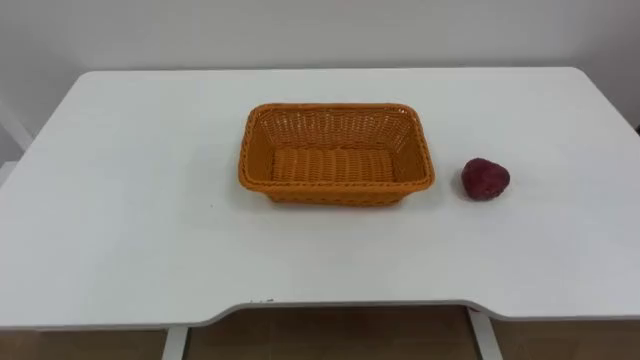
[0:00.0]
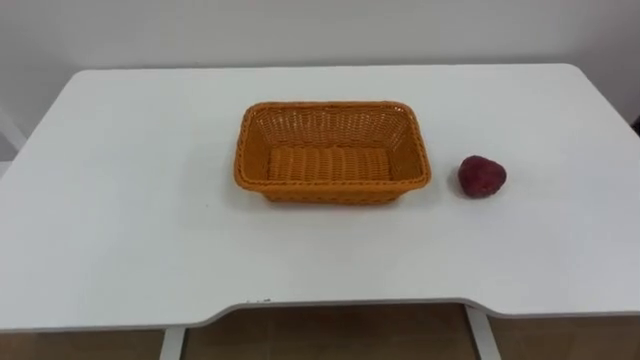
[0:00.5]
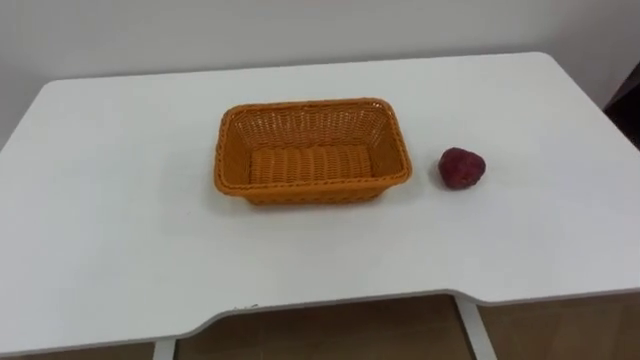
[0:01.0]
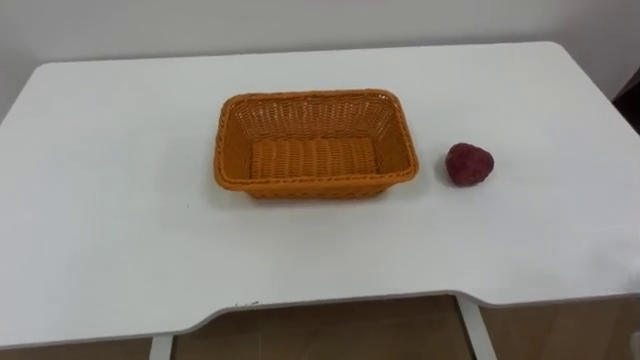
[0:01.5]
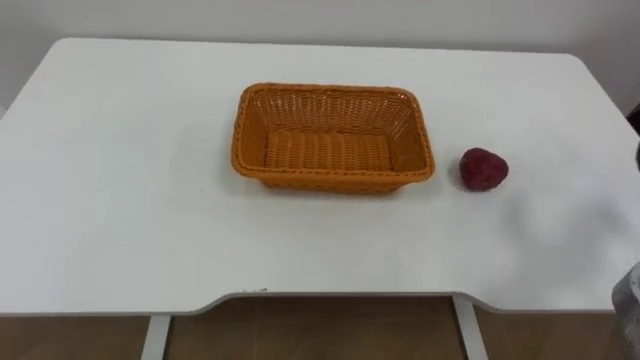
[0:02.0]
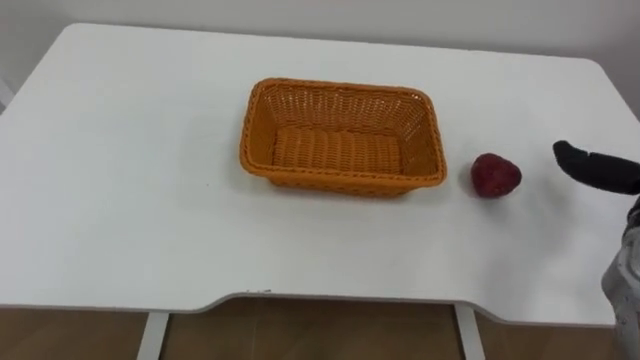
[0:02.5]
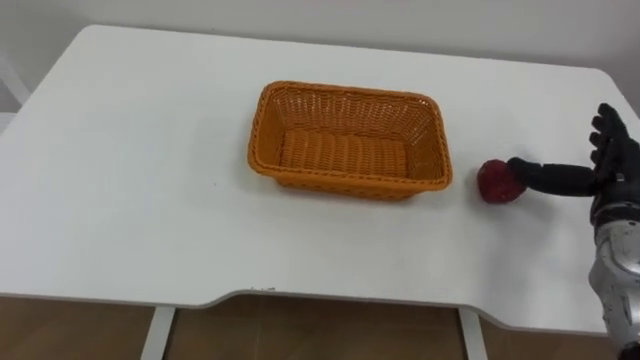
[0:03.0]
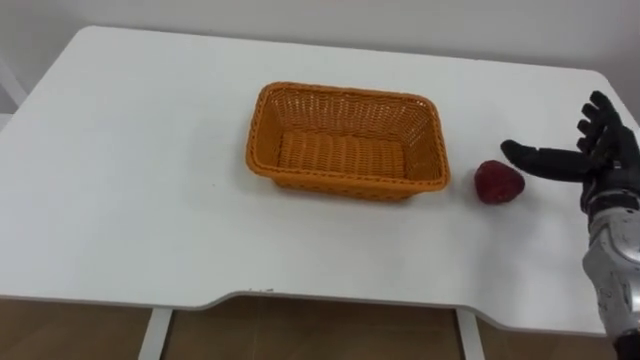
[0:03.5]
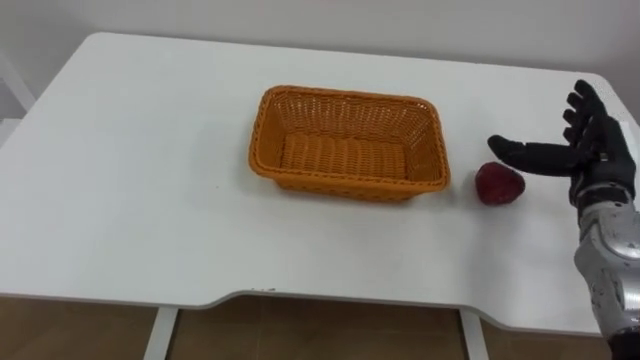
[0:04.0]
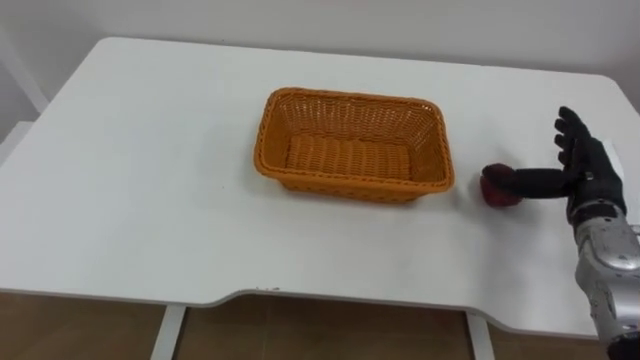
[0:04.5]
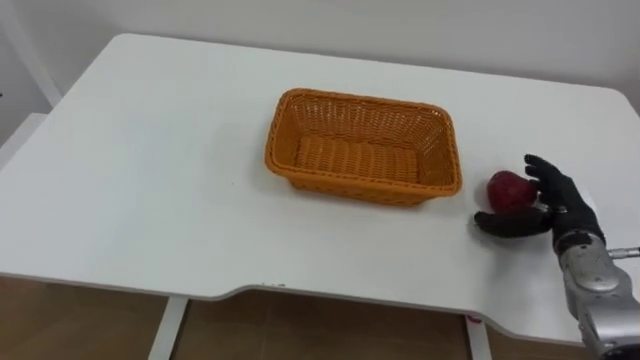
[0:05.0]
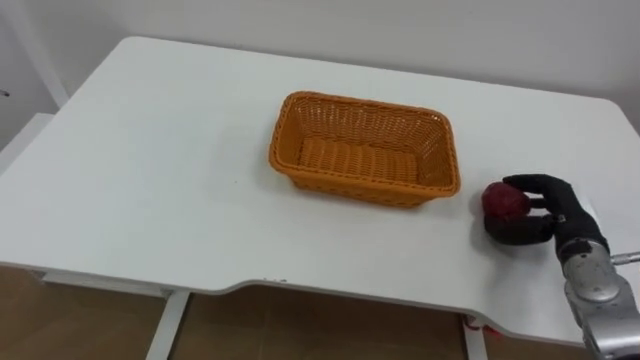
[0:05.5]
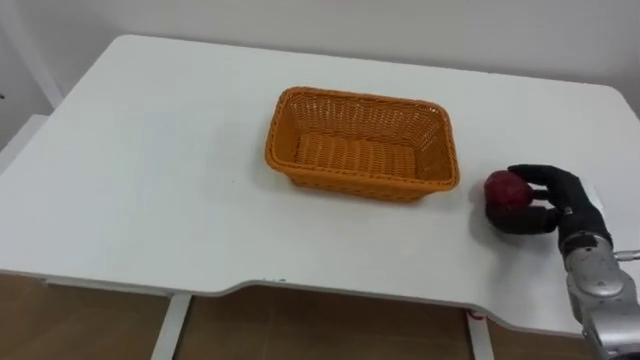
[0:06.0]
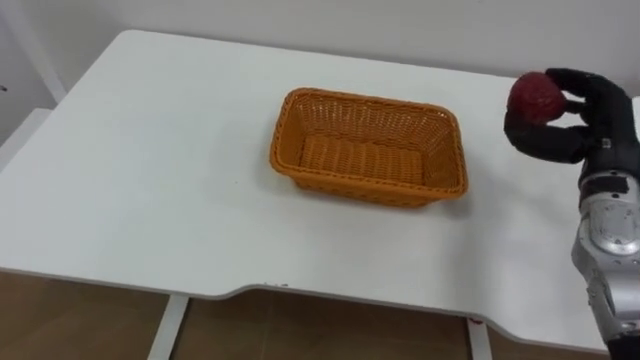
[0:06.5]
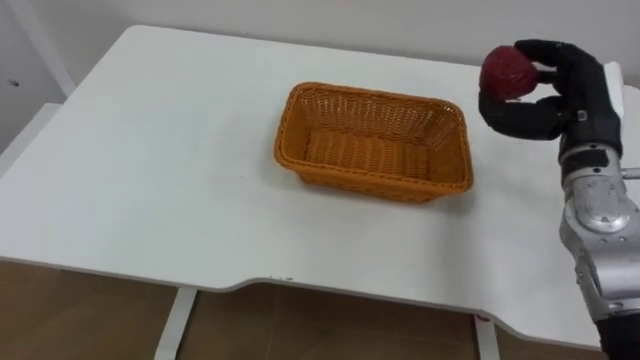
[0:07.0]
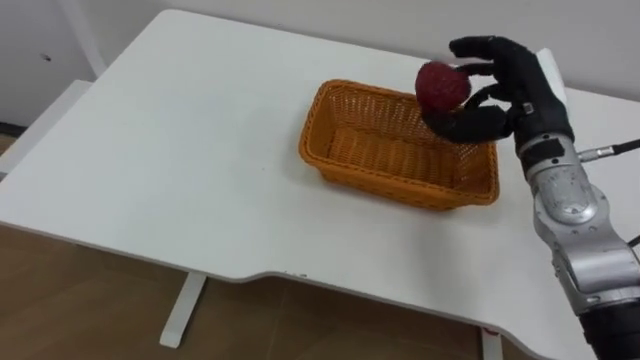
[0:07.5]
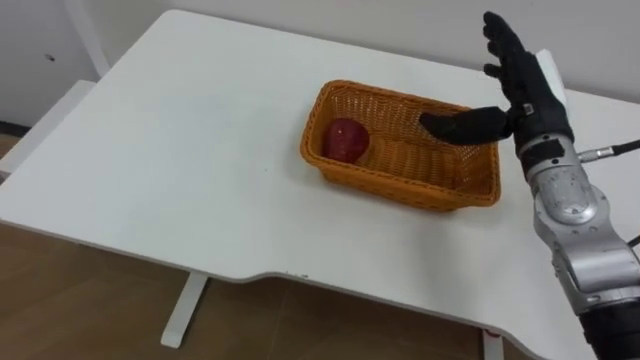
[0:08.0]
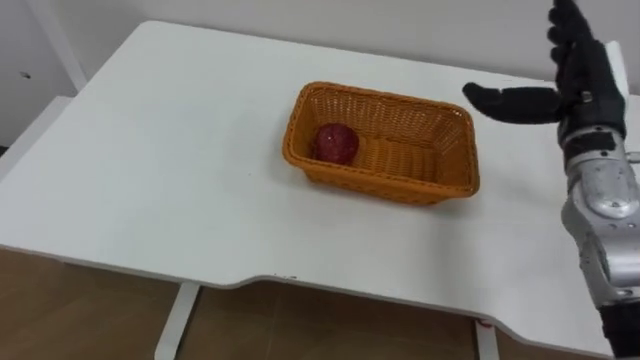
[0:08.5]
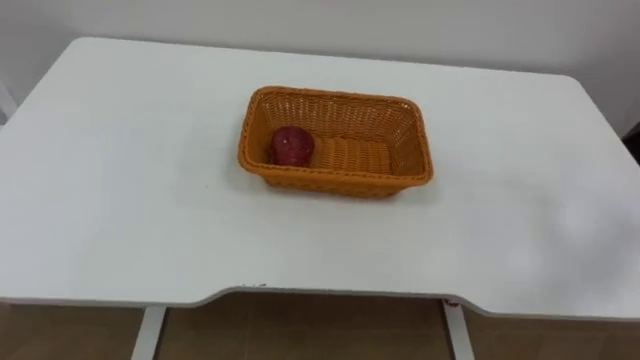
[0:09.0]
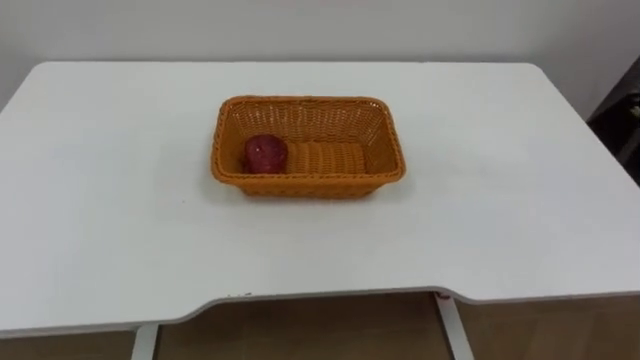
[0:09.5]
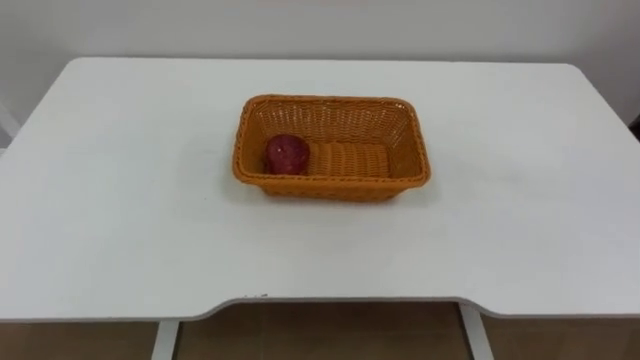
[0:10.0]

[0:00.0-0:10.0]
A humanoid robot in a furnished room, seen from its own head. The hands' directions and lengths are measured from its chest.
Task of the whole recording: Pick the apple and place it in the box.
0:04.0 to 0:06.0: The right hand moves downward, approximately 5 cm, and closes its fingers.
0:06.0 to 0:08.0: The right hand moves upward, to the left and forward, approximately 20 cm, and opens its fingers.

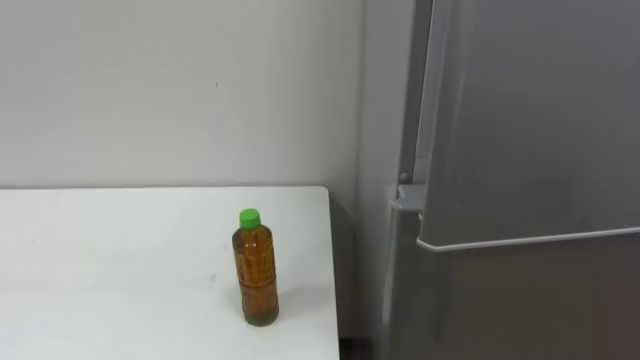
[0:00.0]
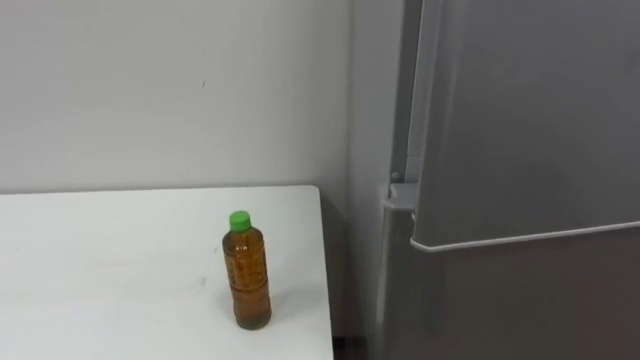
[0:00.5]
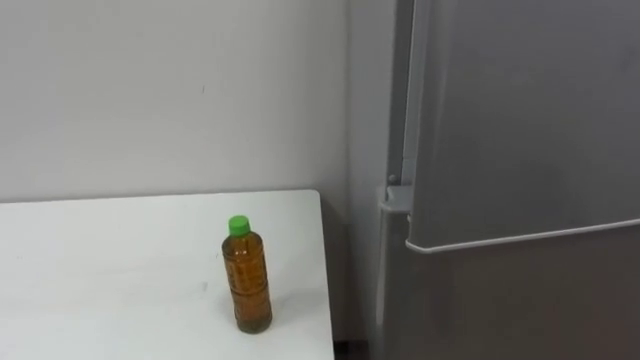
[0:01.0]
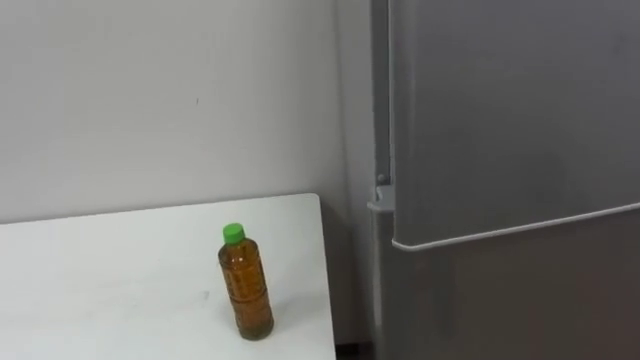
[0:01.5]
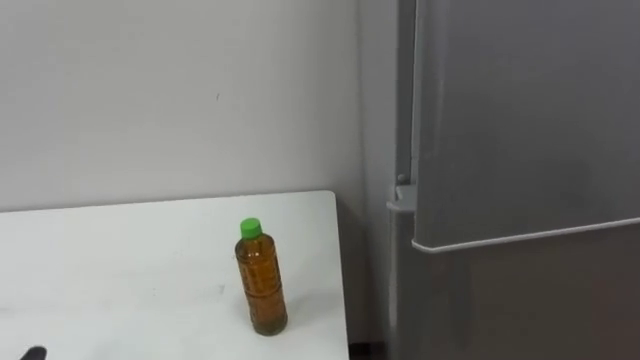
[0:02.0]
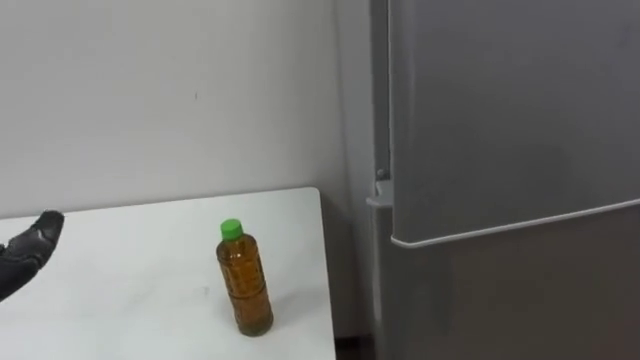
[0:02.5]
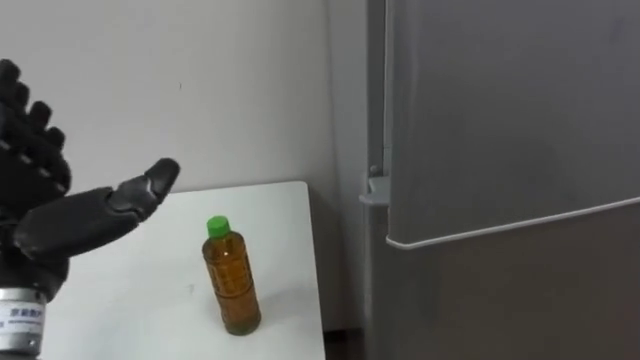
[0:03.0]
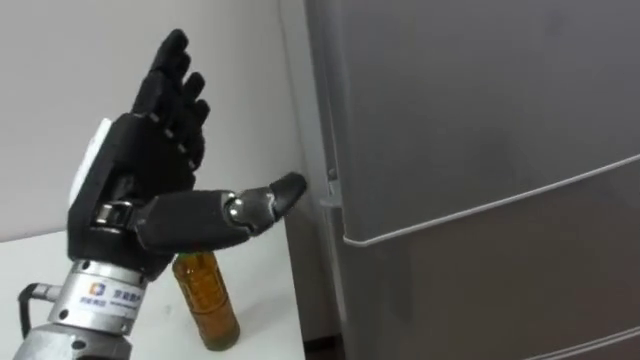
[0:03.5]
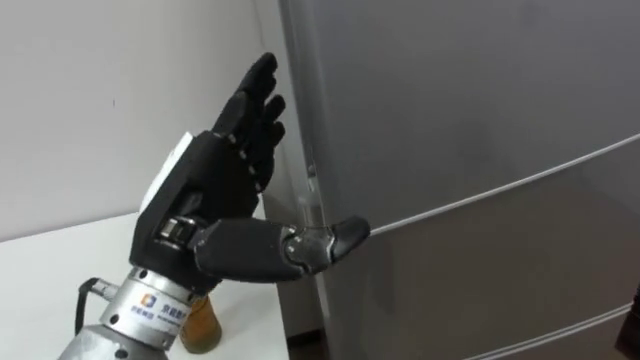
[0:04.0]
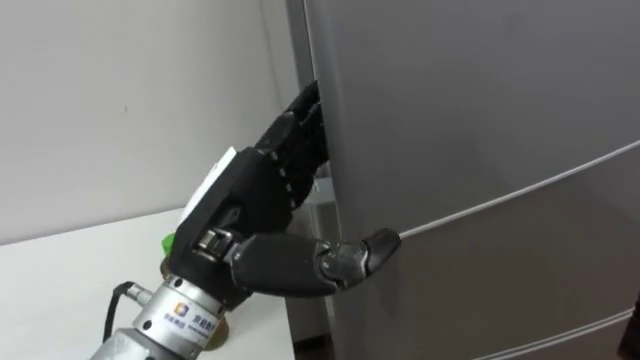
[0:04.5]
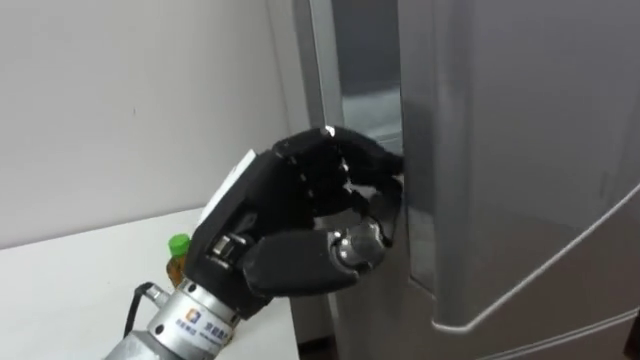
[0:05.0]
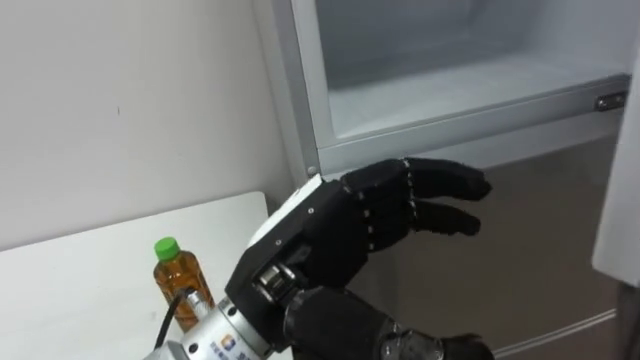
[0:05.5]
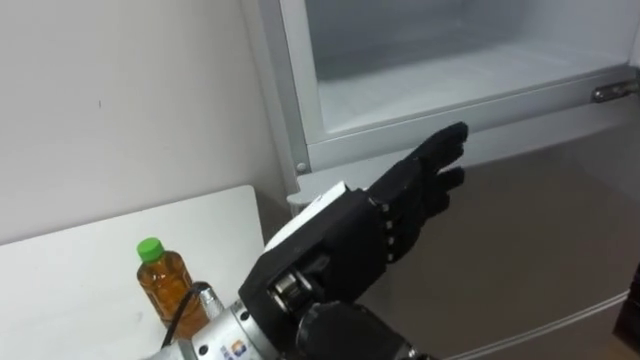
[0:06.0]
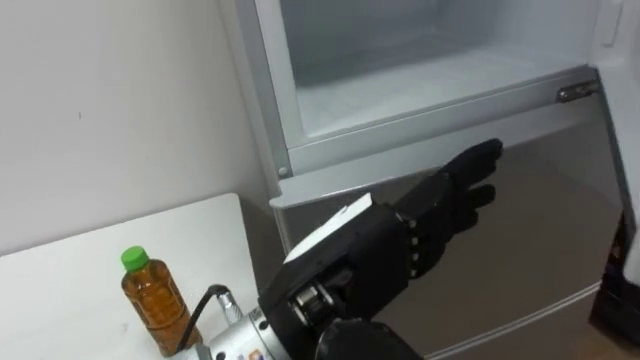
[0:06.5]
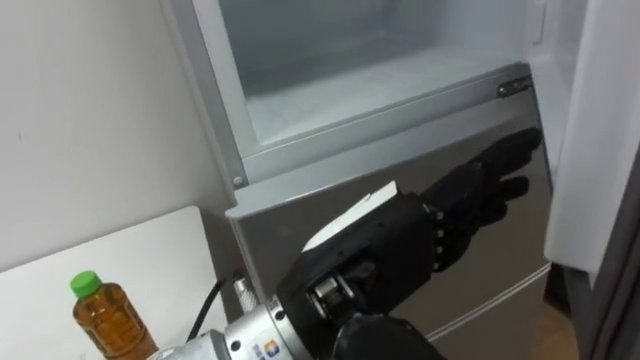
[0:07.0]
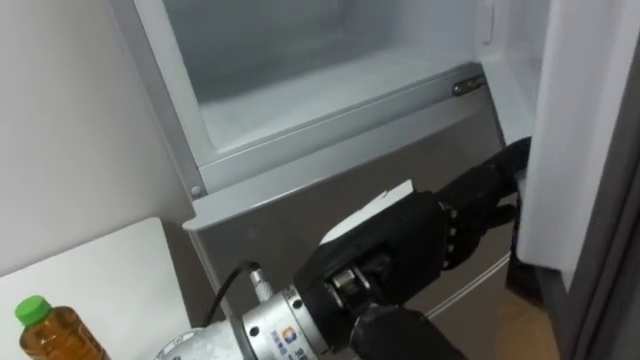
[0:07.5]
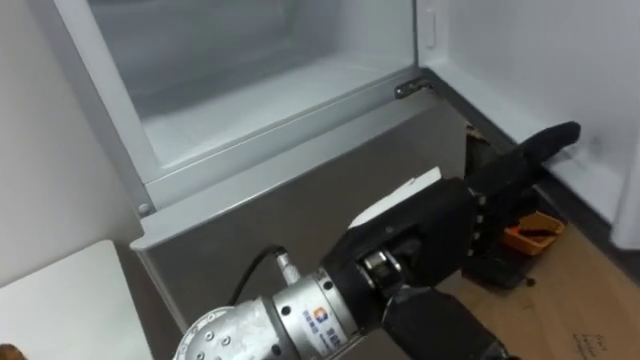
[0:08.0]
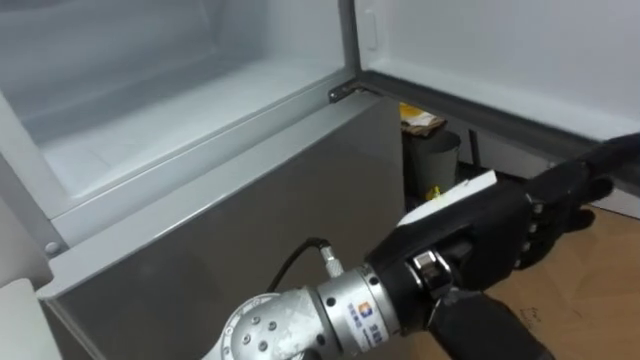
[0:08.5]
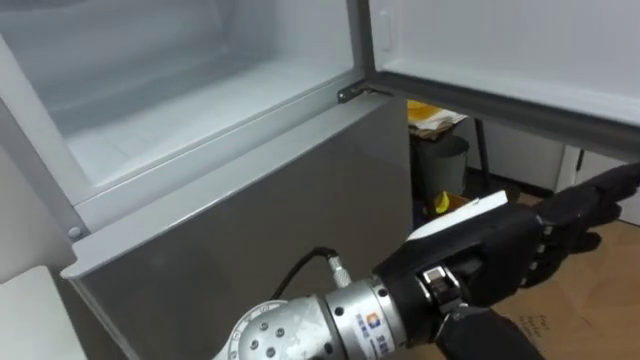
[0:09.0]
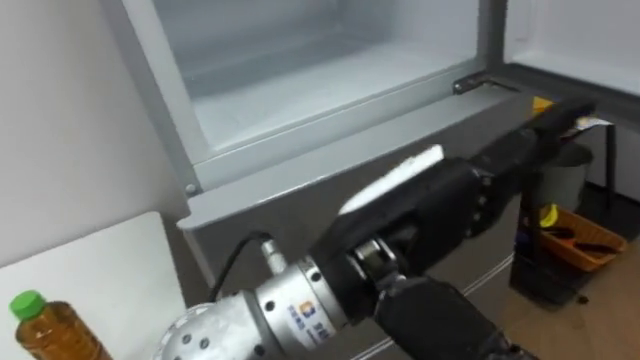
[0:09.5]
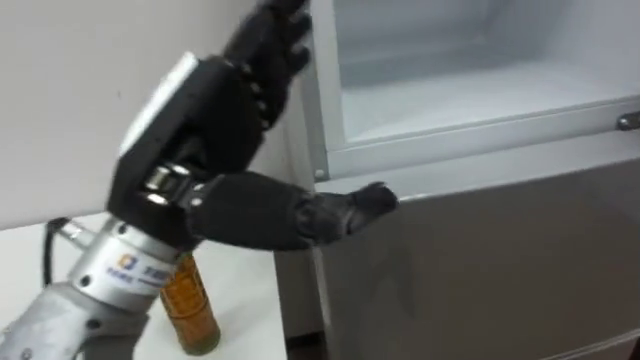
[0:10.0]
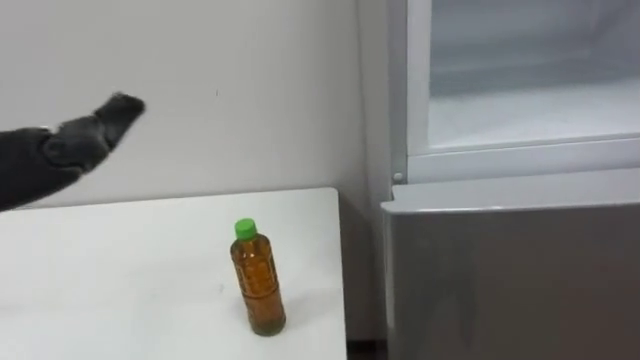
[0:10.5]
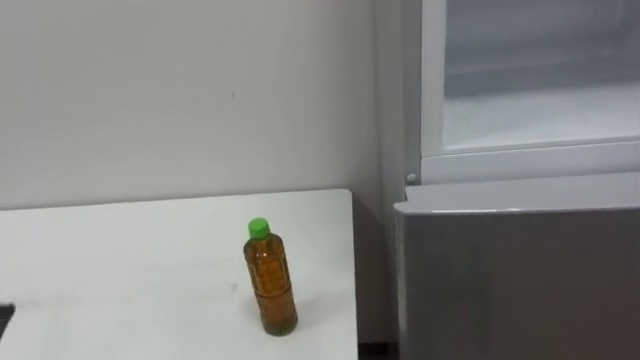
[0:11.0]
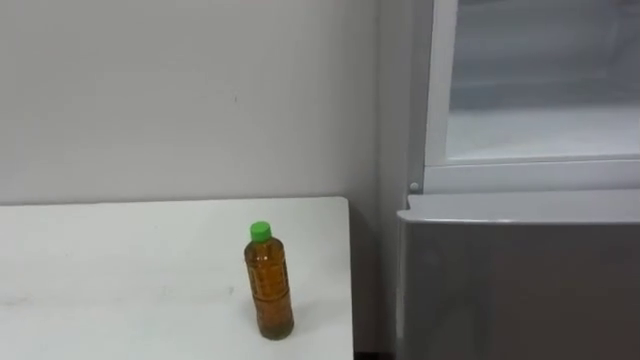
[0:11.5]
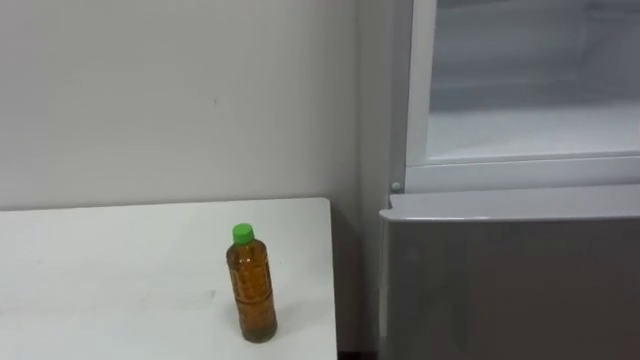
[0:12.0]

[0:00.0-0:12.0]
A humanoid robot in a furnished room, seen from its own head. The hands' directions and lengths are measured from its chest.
Task of the whole recording: Open the upper refrigerator door, put the drink from the table into the refrigerator, and then close the refrigerator door.
0:04.0 to 0:06.0: The left hand shifts about 10 cm to the right, and closes, then reopens.
0:06.0 to 0:08.0: The left hand heads to the right, covering about 5 cm.
0:08.0 to 0:10.0: The left hand heads to the left and upward, covering roughly 15 cm.
